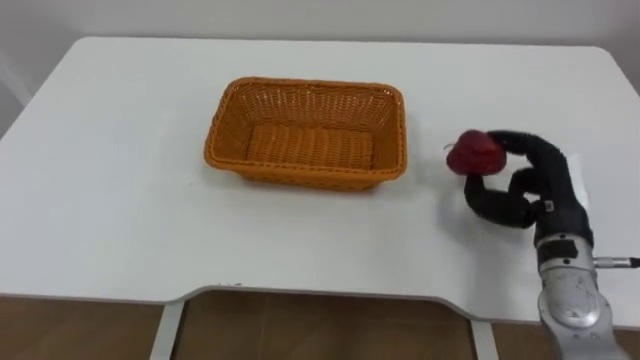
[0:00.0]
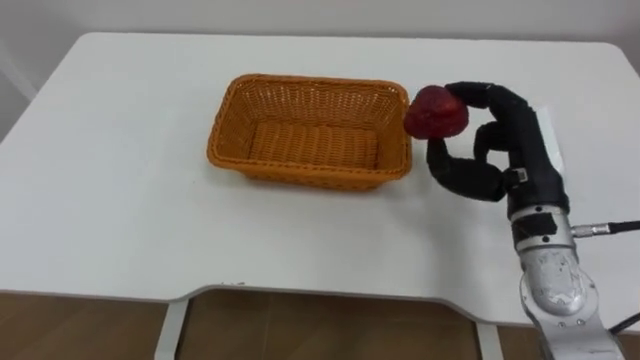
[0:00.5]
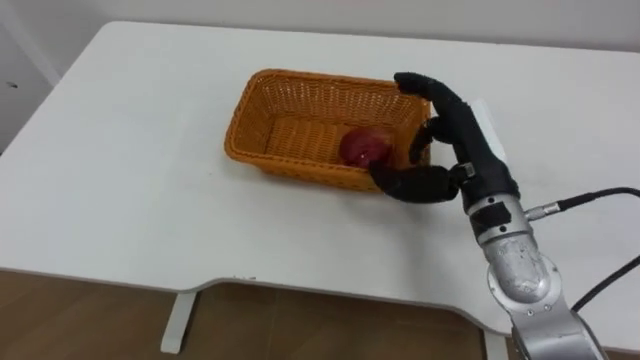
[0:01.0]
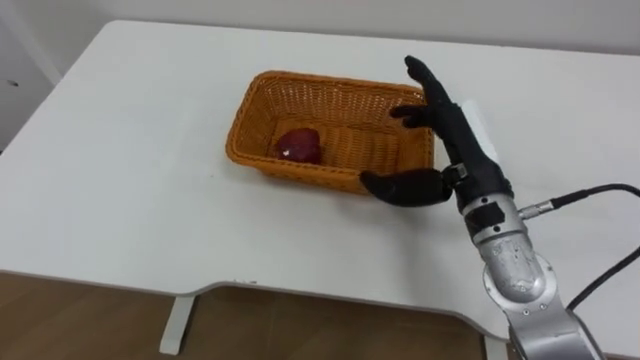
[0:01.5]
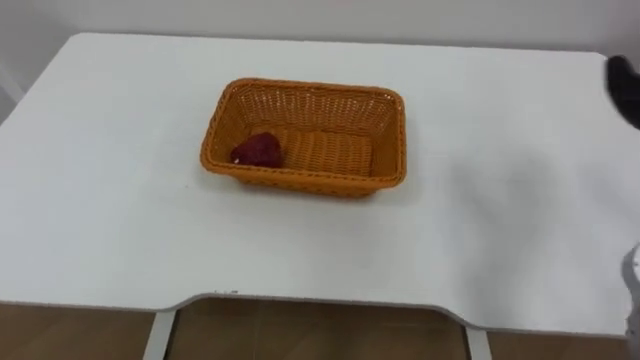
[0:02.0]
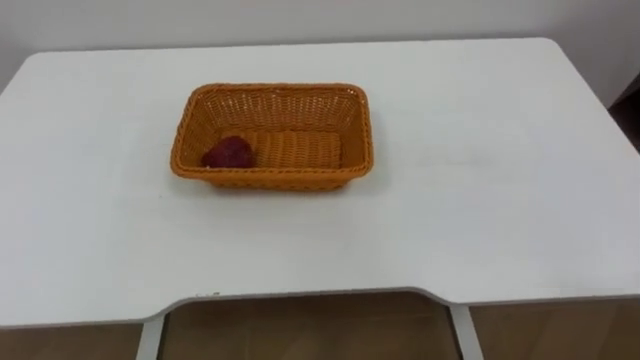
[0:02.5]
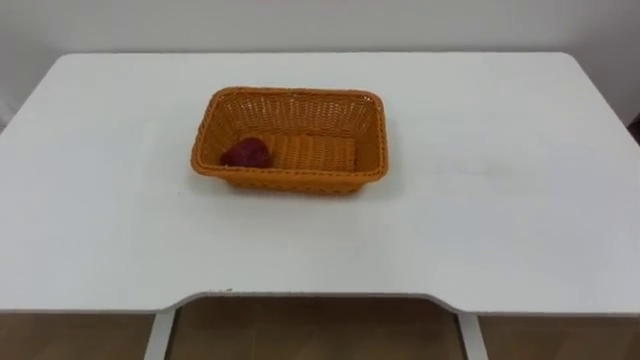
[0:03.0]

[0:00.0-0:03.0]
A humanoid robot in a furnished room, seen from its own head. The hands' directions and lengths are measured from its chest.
Task of the whole recording: Pick the apple and place it in the box.
0:00.0 to 0:01.5: The right hand heads to the left and upward, covering some 15 cm, and opens.

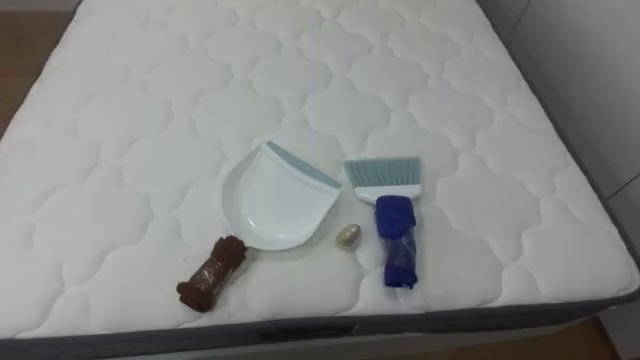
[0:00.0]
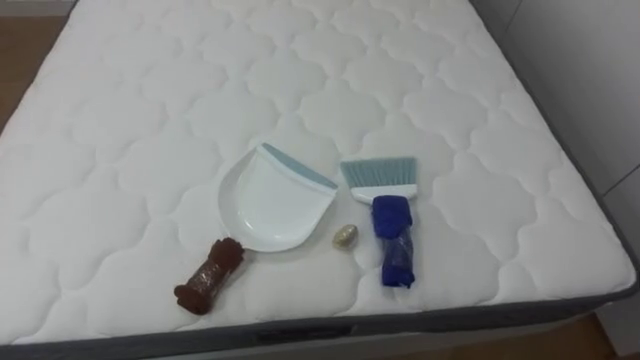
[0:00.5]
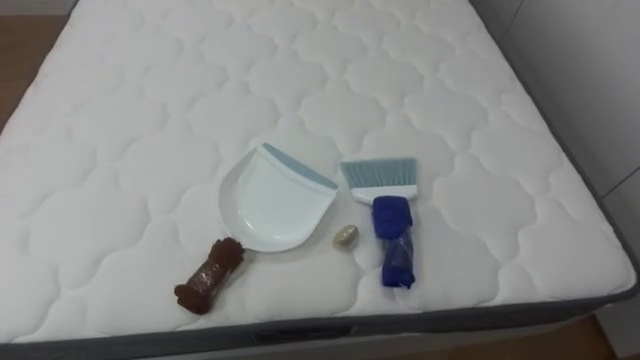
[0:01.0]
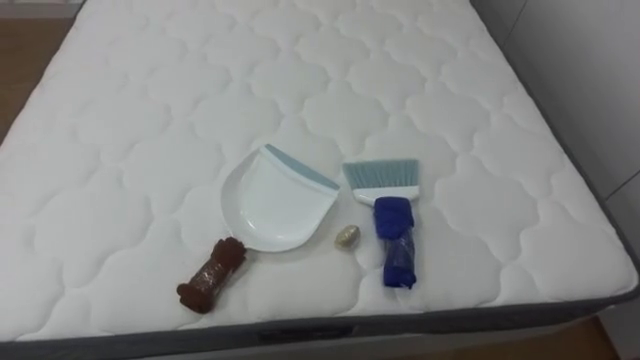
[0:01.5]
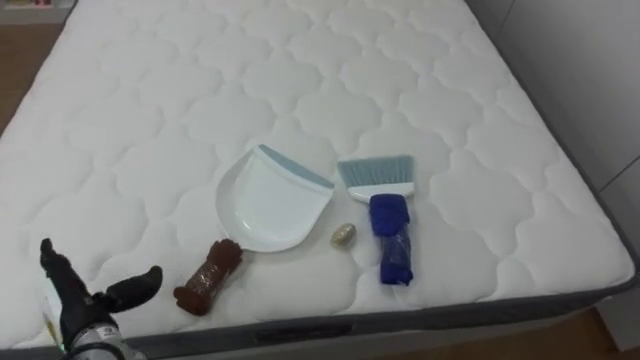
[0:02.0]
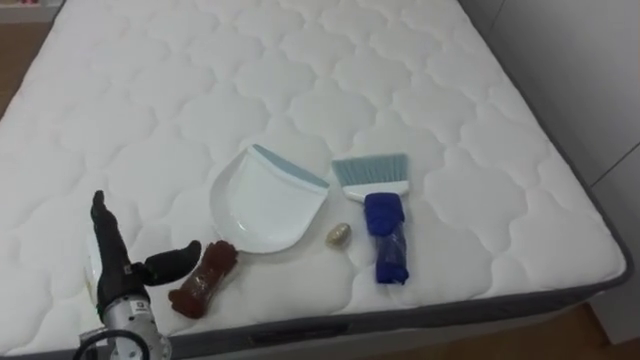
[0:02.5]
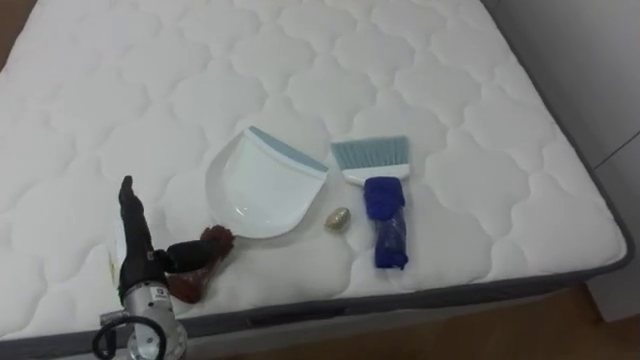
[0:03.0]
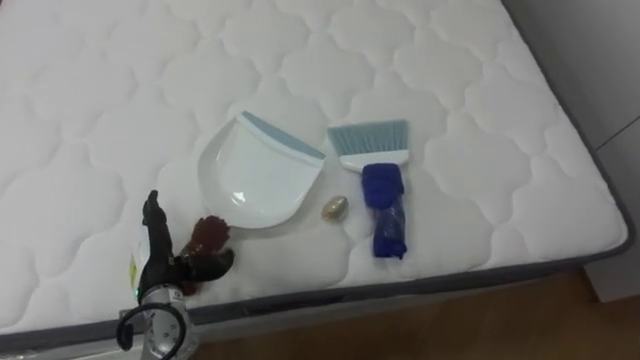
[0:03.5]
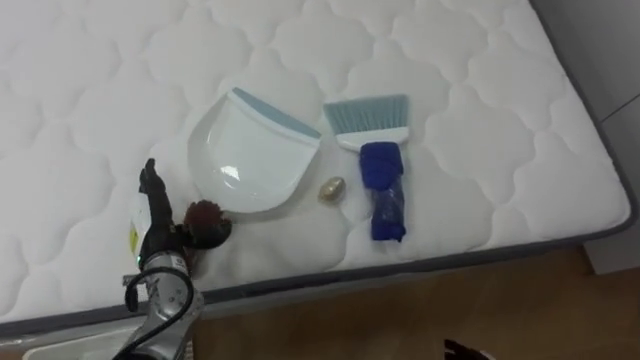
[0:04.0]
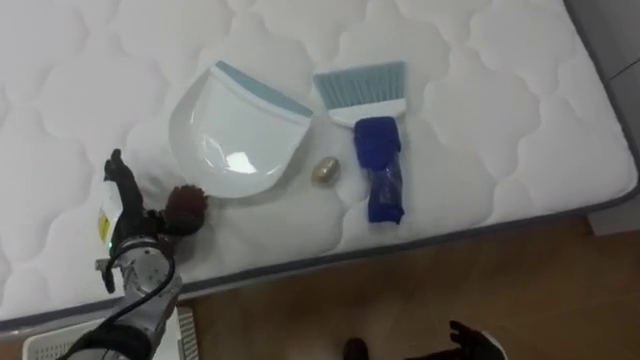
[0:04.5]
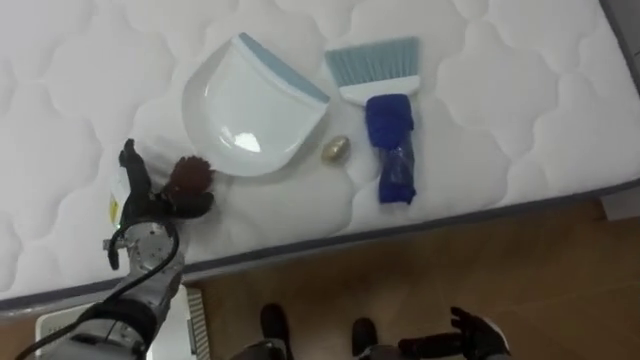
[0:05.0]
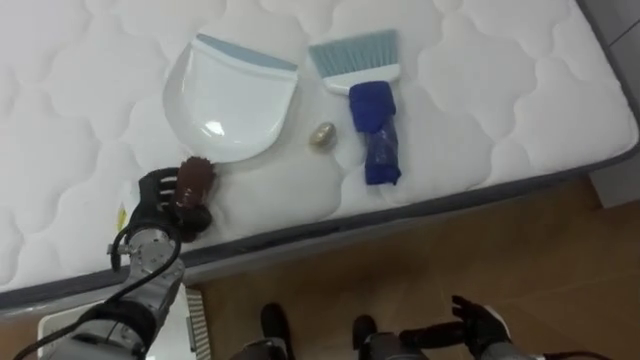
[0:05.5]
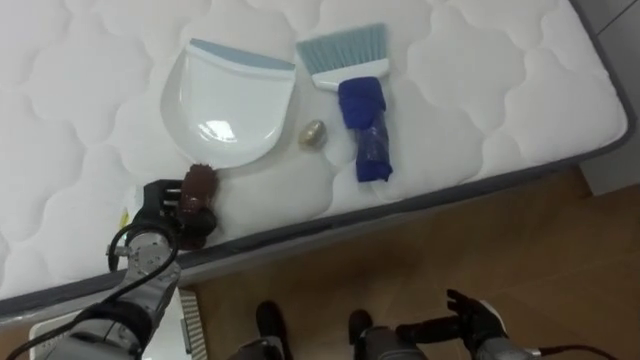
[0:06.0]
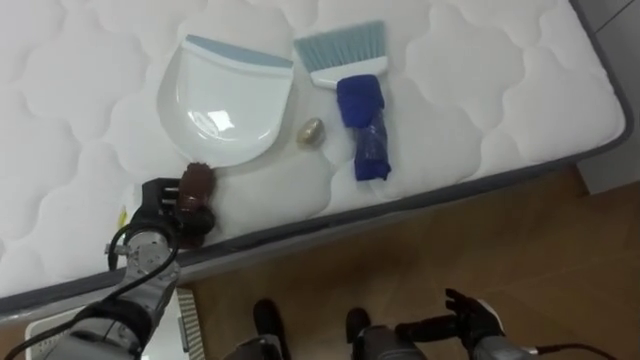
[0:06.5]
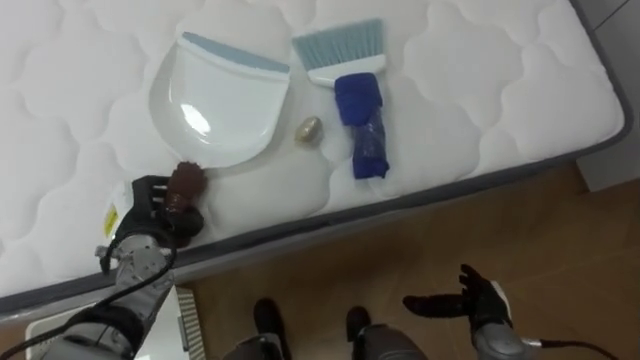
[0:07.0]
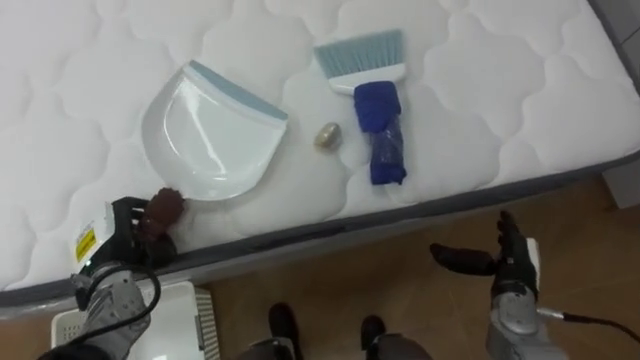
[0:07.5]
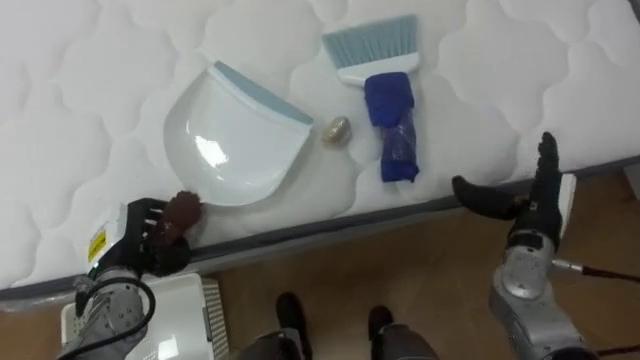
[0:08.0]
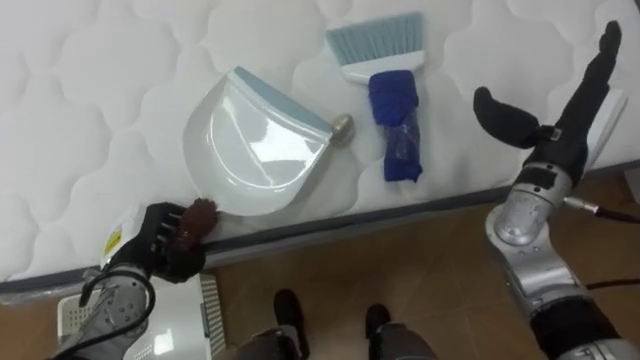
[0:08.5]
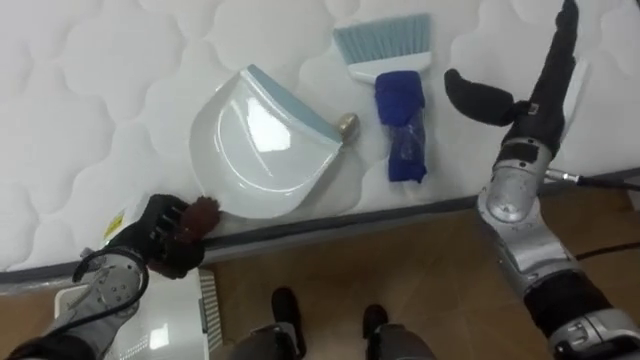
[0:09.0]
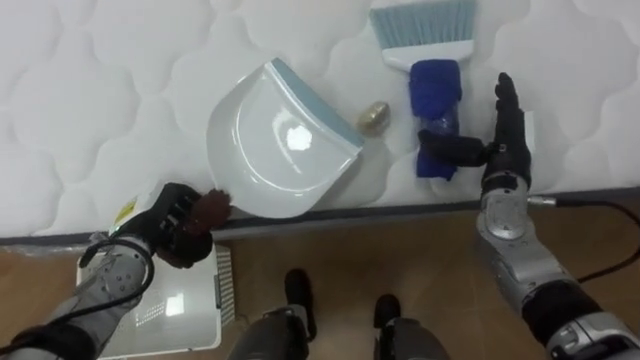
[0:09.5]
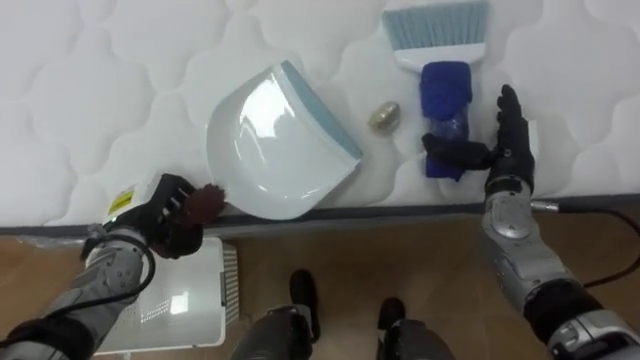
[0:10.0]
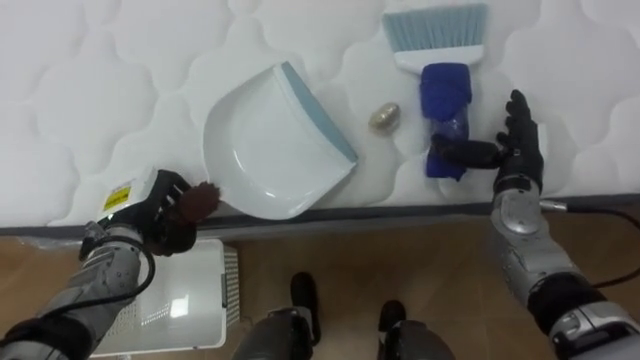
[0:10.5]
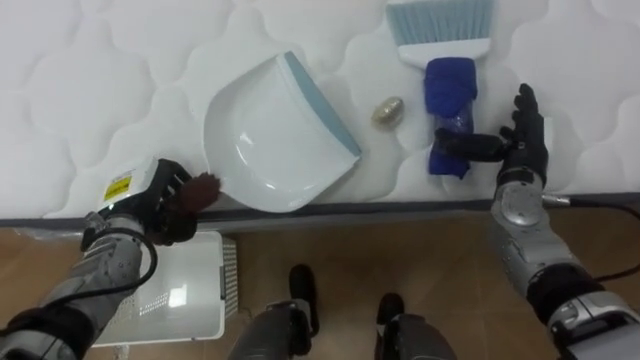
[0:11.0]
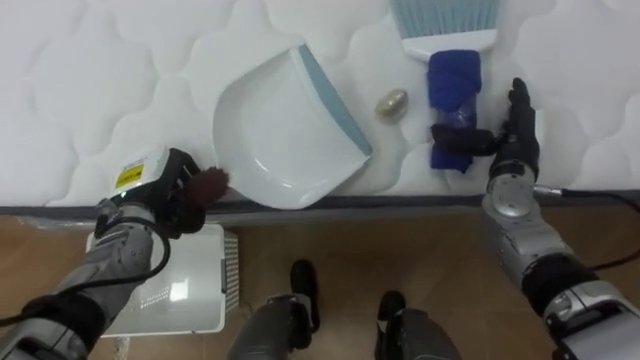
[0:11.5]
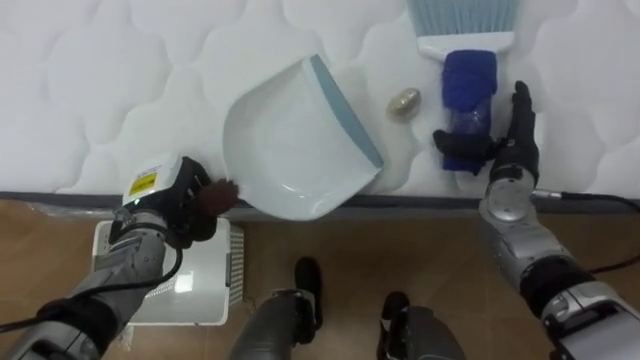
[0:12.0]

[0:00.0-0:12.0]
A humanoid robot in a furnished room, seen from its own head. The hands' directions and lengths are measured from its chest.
Task of the whole recording: Pick up the brush on your right and the dustpan on your left. Use the brush to sweep the crumpled paper on the bed into the dustpan, then turn left and empty it into the basket.
0:02.0 to 0:04.0: The left hand goes about 15 cm forward and to the right.
0:04.0 to 0:06.0: The left hand closes.
0:06.0 to 0:08.0: The right hand moves upward and forward, about 20 cm. Meanwhile the left hand ends up about 5 cm from where it was.
0:08.0 to 0:10.0: The left hand changes place by roughly 5 cm; the right hand heads forward, covering some 5 cm, and reaches about 15 cm upward, then returns.

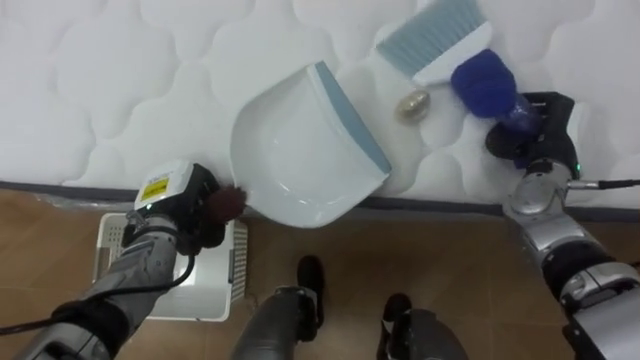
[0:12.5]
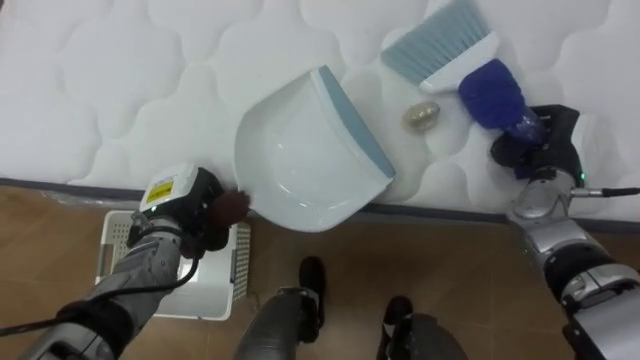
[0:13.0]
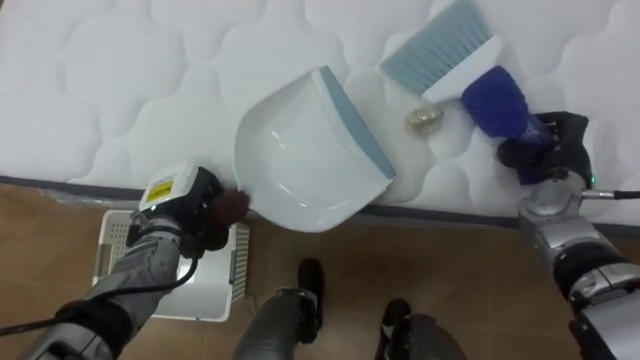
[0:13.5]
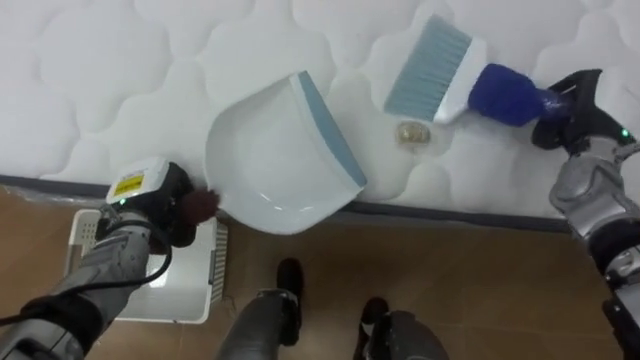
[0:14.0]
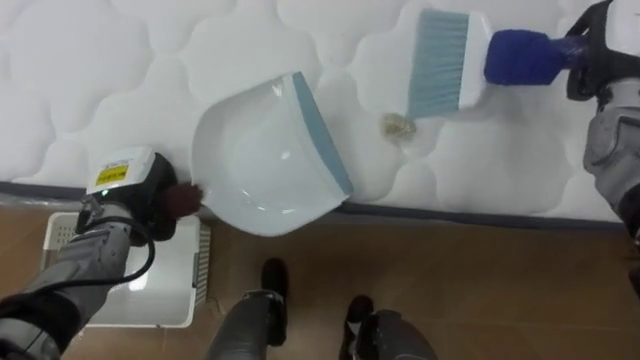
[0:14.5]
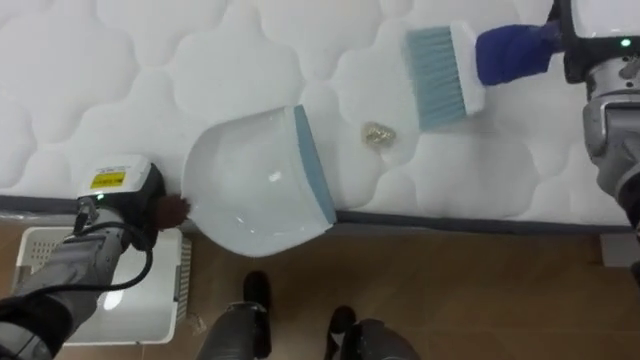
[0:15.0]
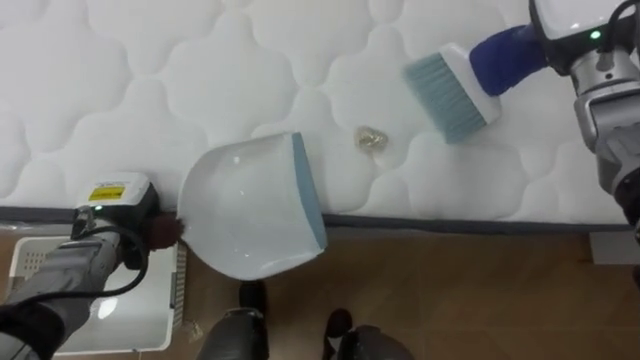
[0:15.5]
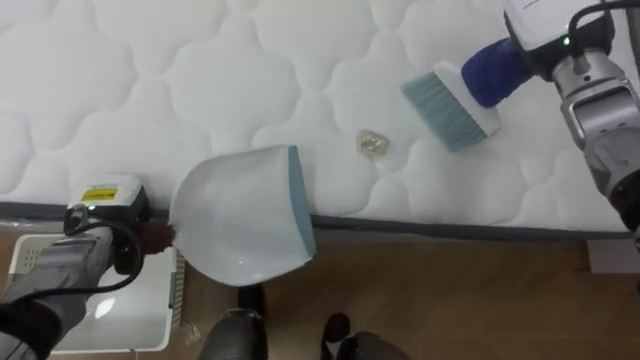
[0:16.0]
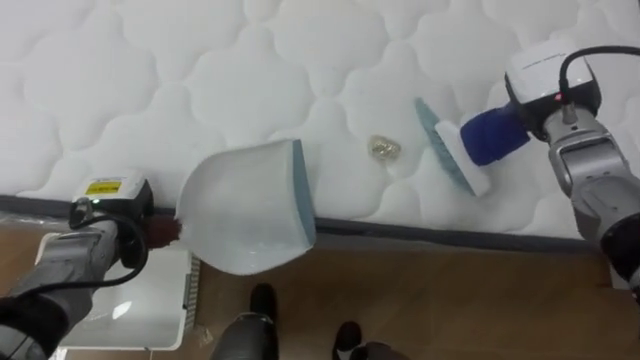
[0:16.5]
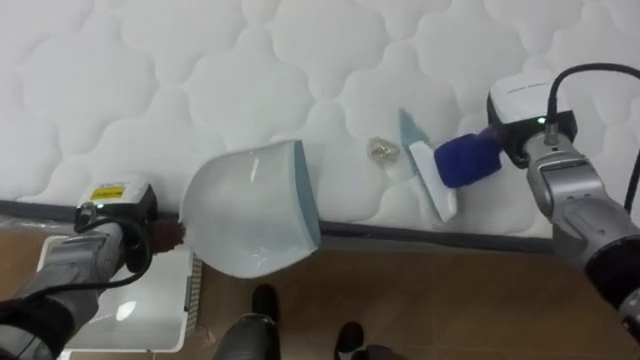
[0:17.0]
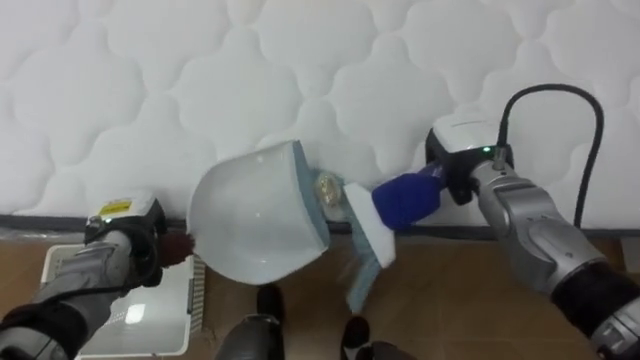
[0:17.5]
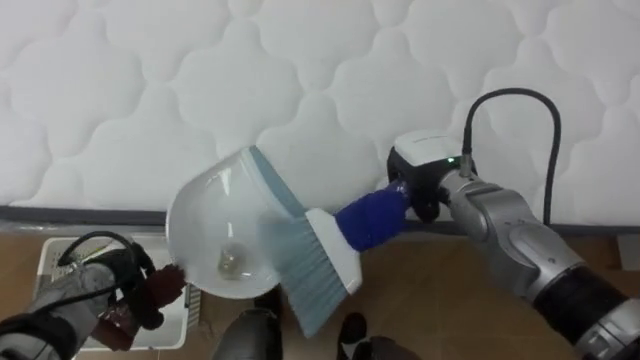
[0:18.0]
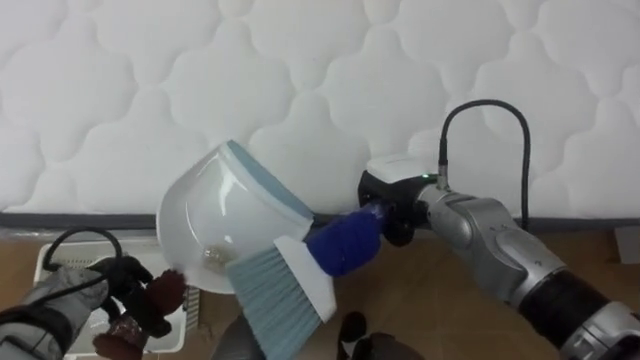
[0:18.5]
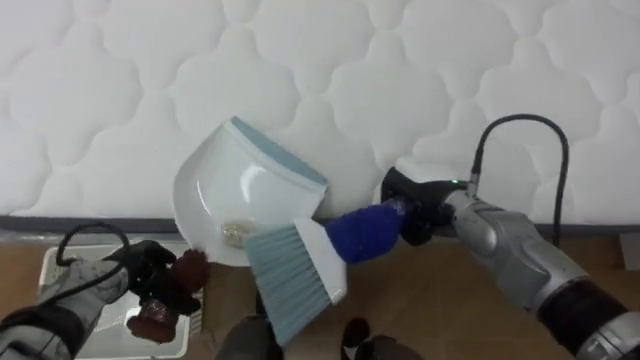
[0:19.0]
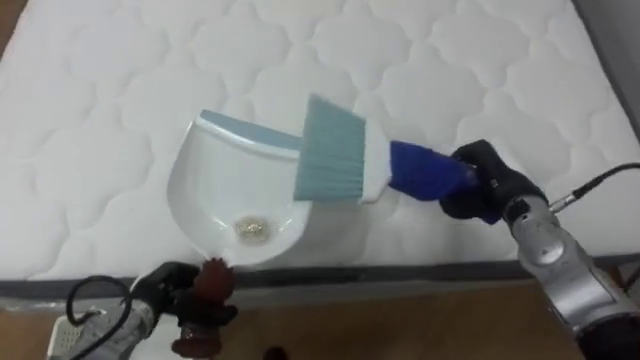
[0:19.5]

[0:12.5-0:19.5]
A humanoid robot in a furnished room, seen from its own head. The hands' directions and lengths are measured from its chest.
Task of the whole recording: Pick up the brush on your right and the dustpan on your left. Use the brush to sweep the crumpled paper on the bed into the dustpan, then turn left and empty it into the basket.
0:12.5 to 0:14.5: The left hand goes some 5 cm to the left, while the right hand heads upward, covering roughly 10 cm.
0:14.5 to 0:16.0: The right hand shifts some 10 cm to the left.
0:16.0 to 0:17.5: The right hand goes approximately 15 cm downward and backward.
0:17.5 to 0:19.5: The left hand goes some 10 cm backward and downward, while the right hand travels to the left and back again, about 10 cm each way.
